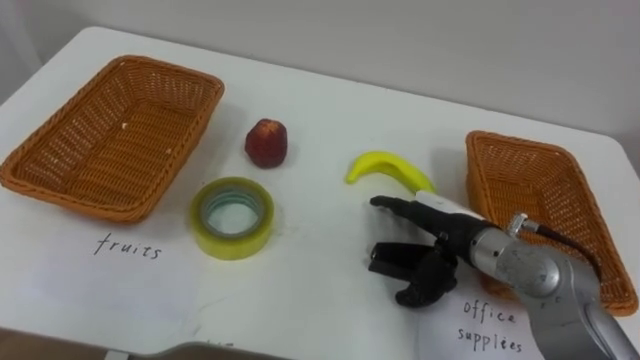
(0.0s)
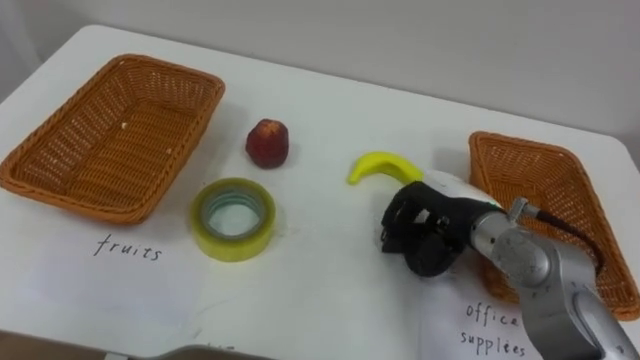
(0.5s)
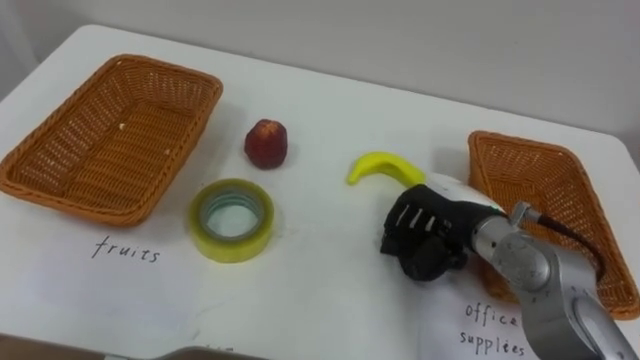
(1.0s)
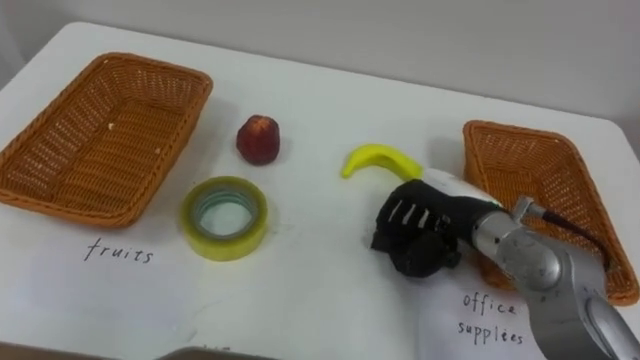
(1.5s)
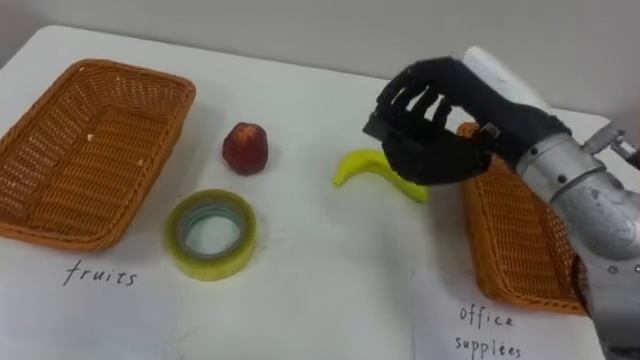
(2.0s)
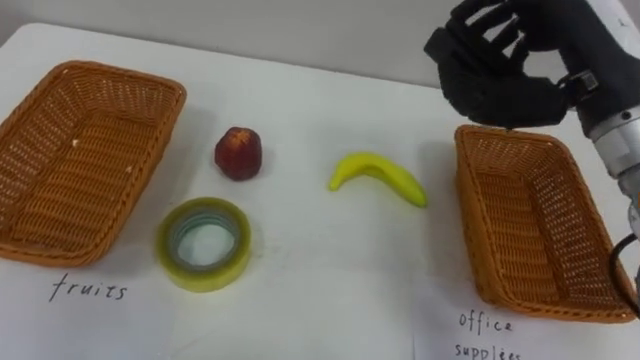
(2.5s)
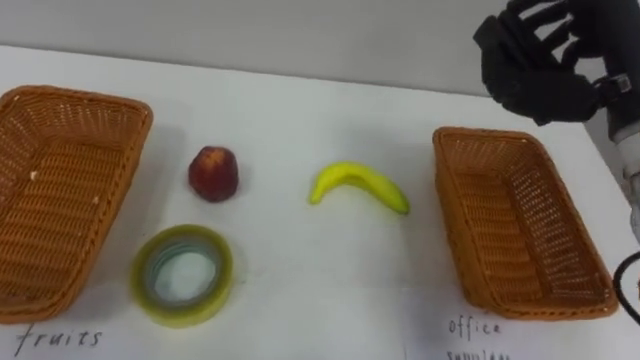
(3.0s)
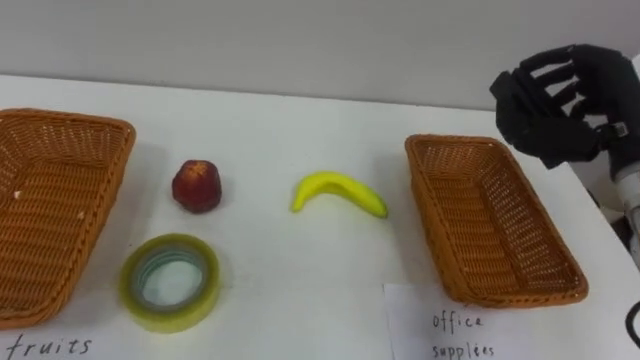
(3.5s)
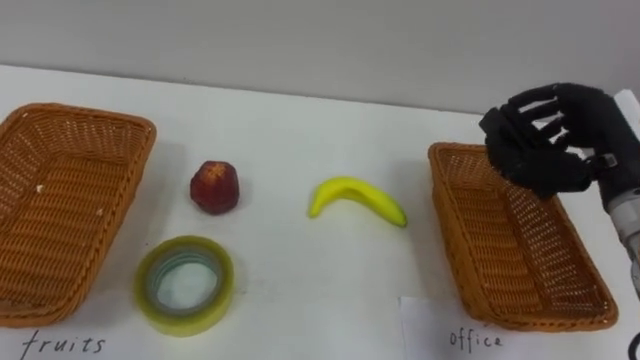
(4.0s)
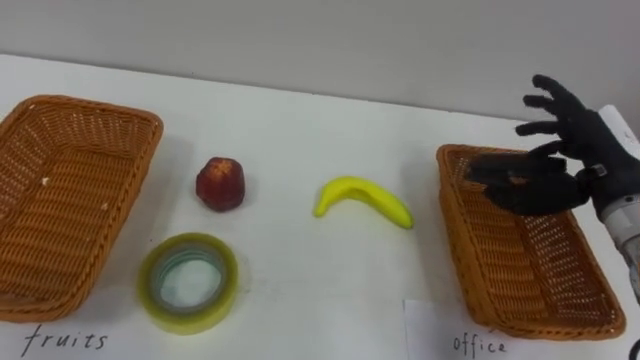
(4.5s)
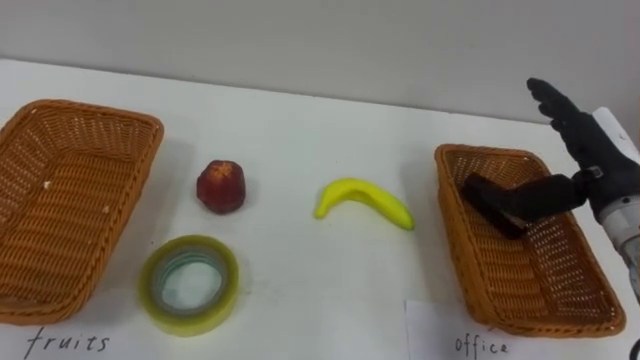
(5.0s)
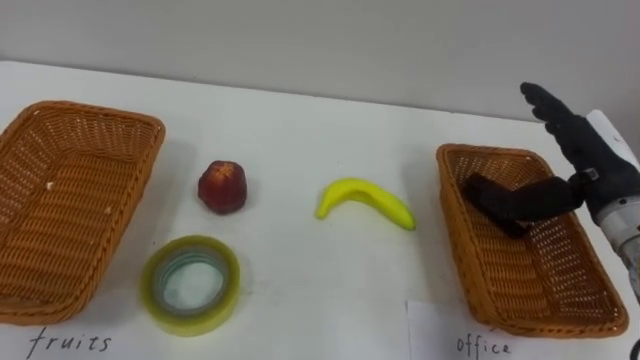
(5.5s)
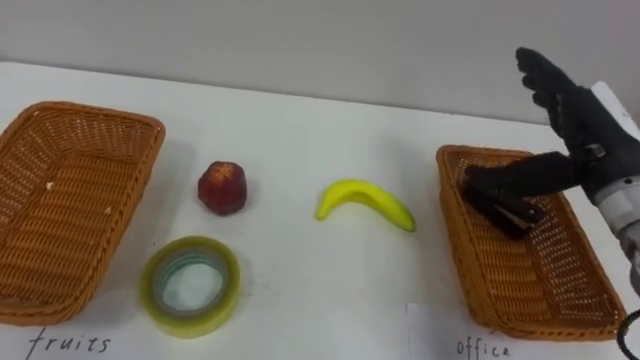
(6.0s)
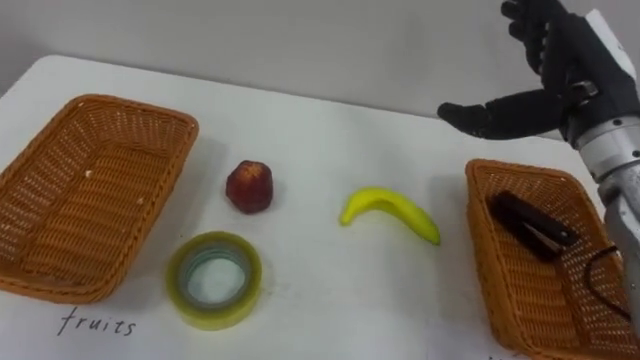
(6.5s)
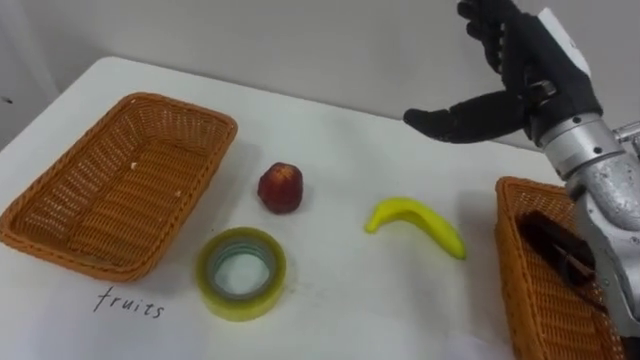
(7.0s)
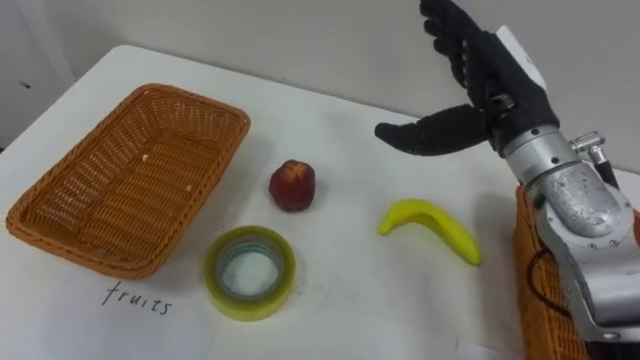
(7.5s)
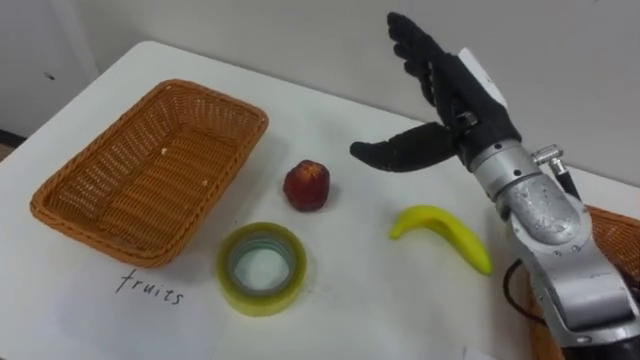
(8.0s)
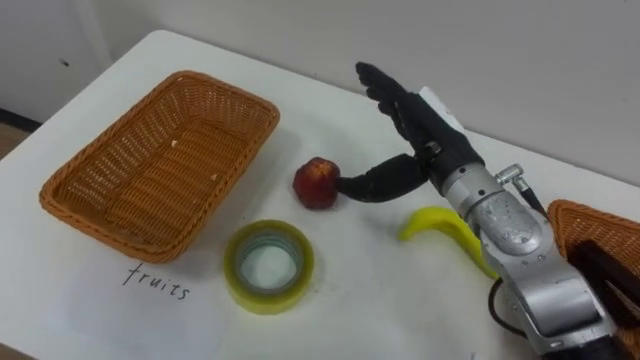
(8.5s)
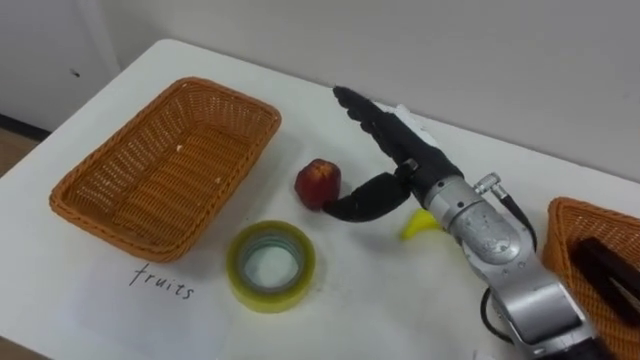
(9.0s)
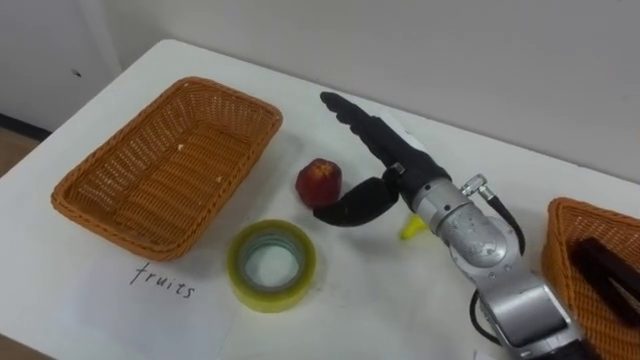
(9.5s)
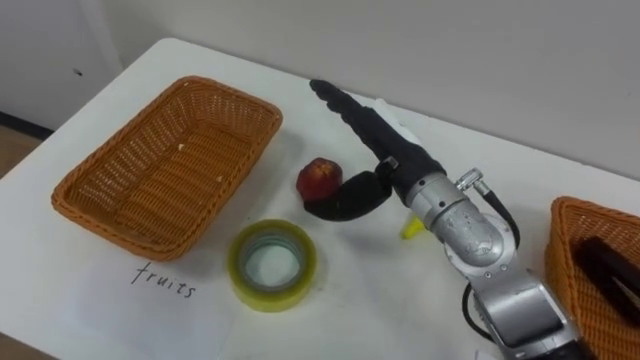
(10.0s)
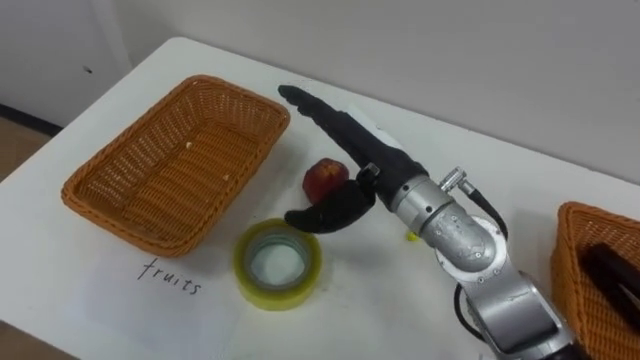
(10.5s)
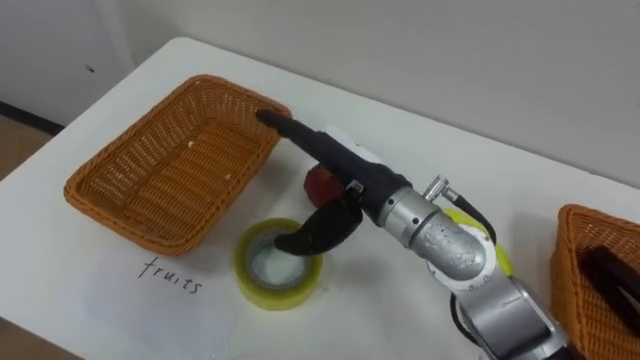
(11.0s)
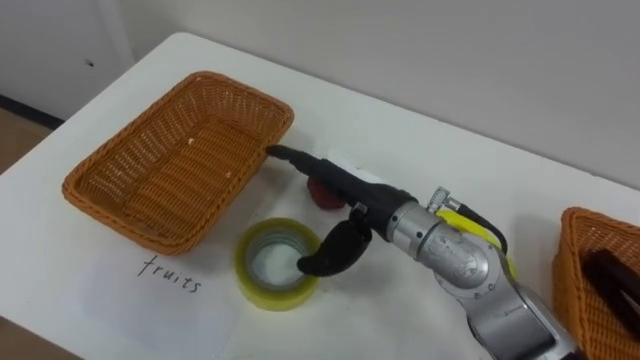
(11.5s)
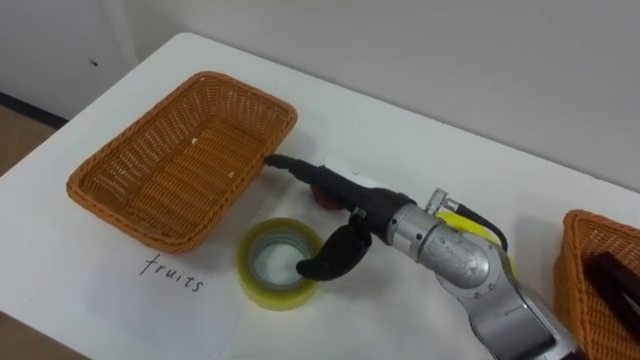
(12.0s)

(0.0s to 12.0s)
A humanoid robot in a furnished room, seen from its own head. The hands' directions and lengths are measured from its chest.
Task of the whole recording: Separate the items on the table and place them into the two baskets.
0.0s - 2.0s: The right hand travels upward by some 15 cm, and closes.
2.0s - 4.0s: The right hand travels to the right and downward by approximately 15 cm.
4.0s - 6.0s: The right hand opens its fingers.
6.0s - 8.0s: The right hand goes approximately 15 cm to the left.
8.0s - 10.0s: The right hand travels to the left by some 5 cm.
10.0s - 12.0s: The right hand shifts by about 5 cm.

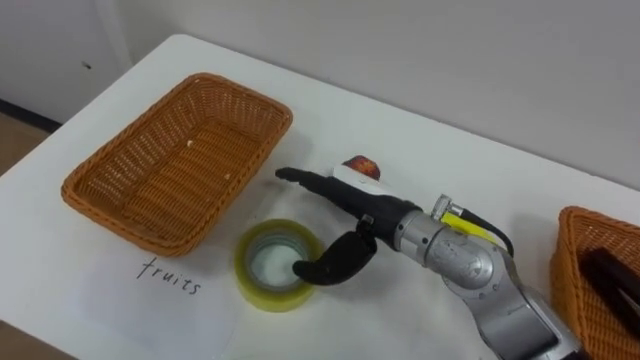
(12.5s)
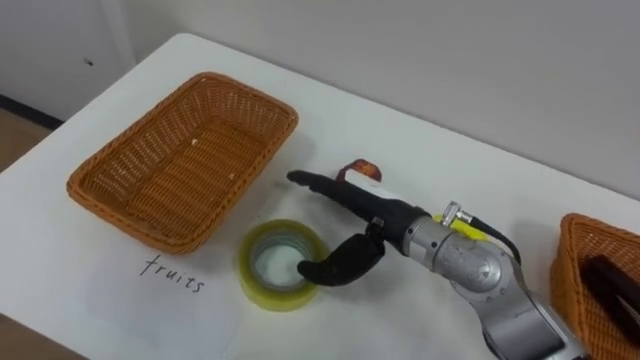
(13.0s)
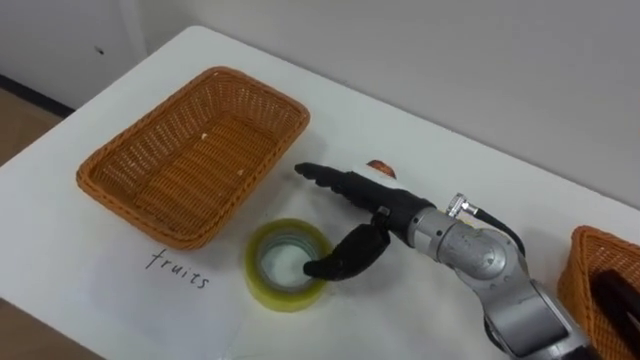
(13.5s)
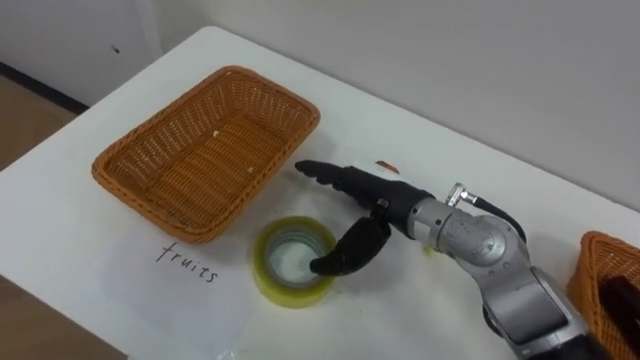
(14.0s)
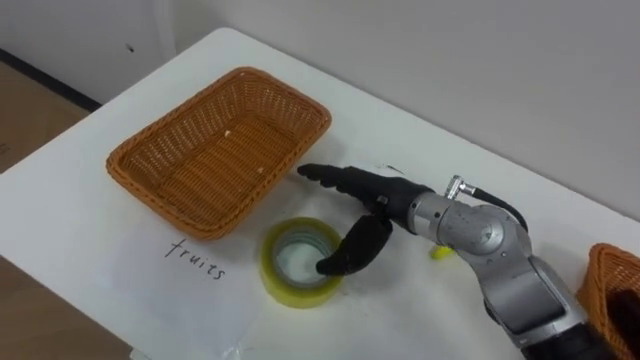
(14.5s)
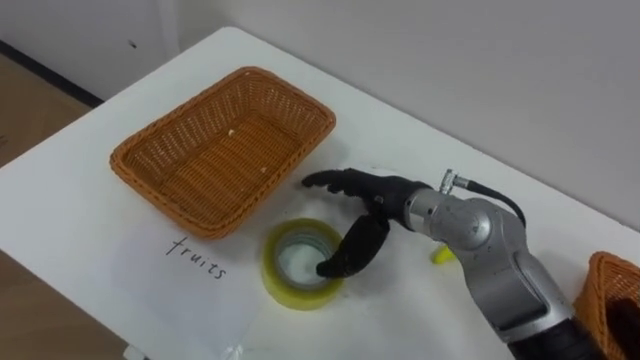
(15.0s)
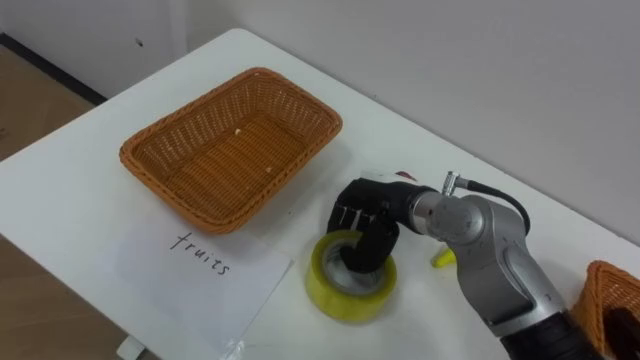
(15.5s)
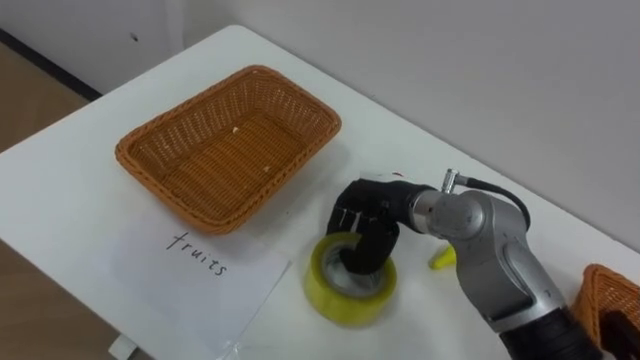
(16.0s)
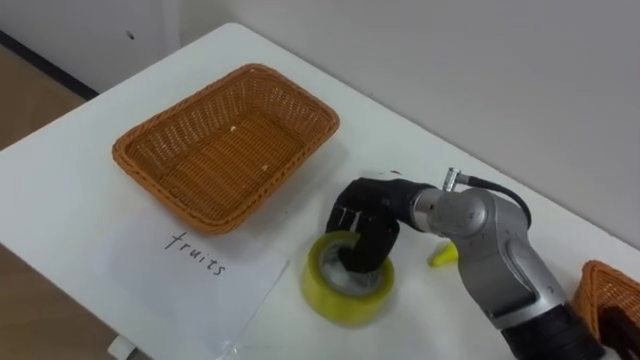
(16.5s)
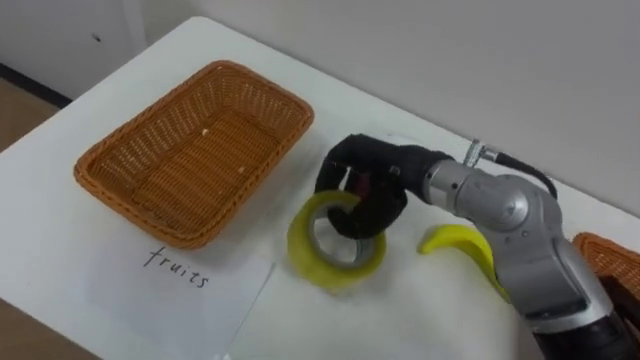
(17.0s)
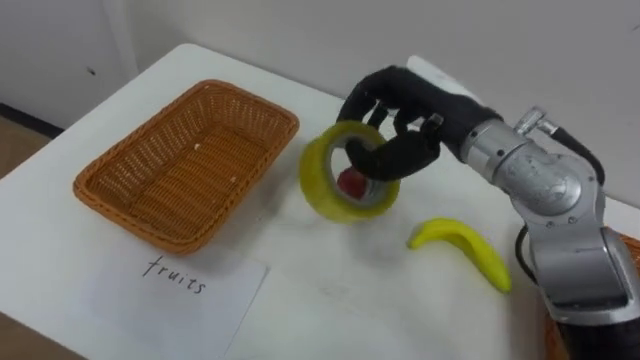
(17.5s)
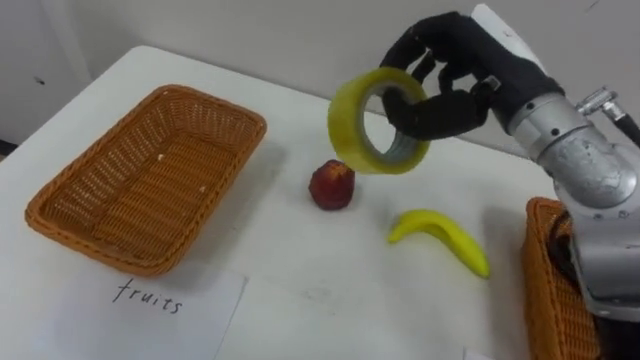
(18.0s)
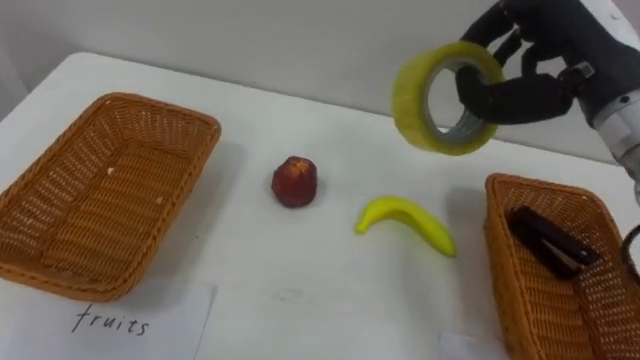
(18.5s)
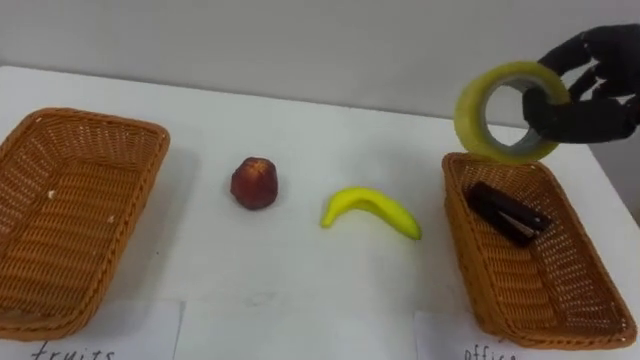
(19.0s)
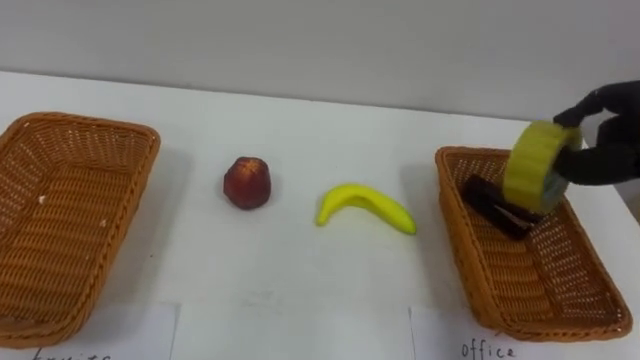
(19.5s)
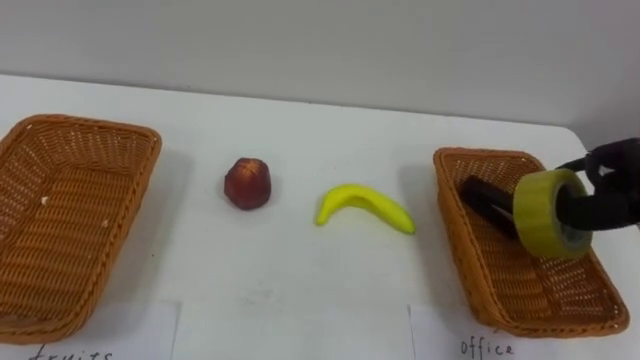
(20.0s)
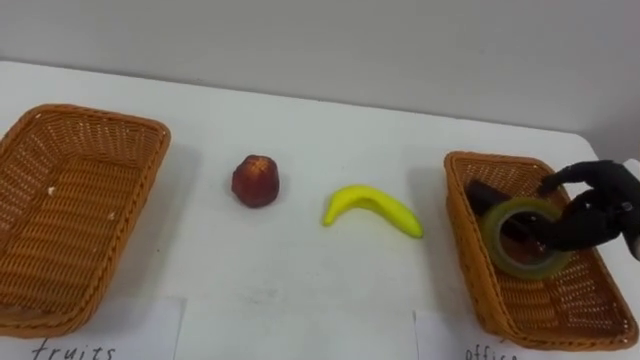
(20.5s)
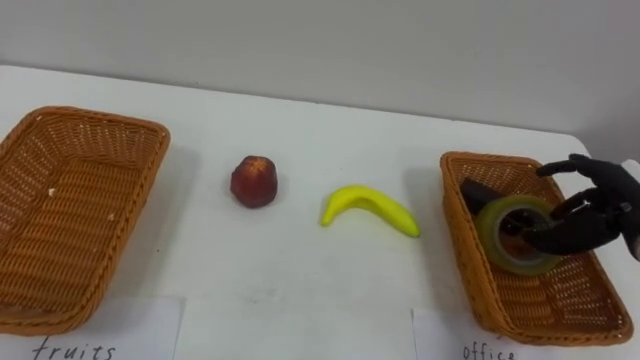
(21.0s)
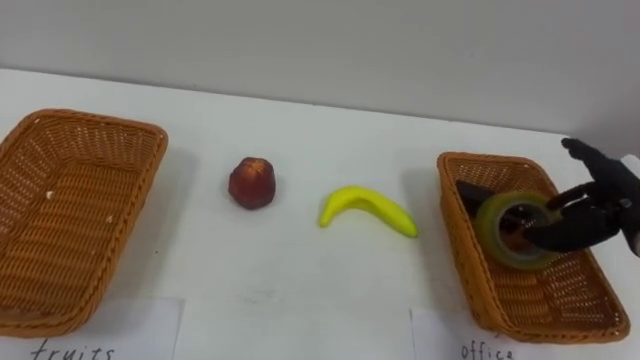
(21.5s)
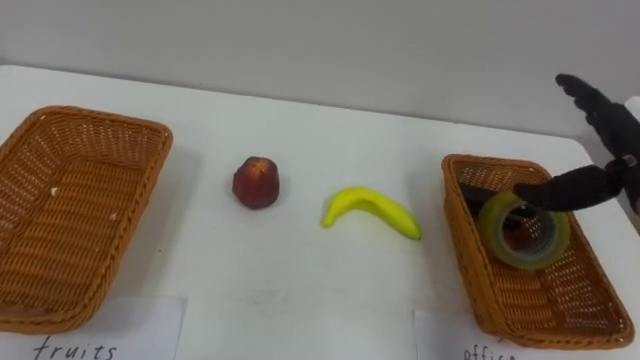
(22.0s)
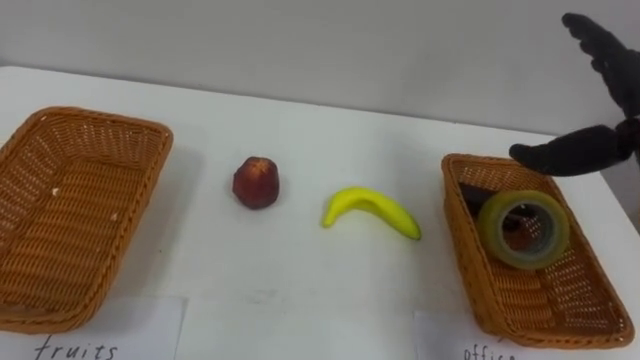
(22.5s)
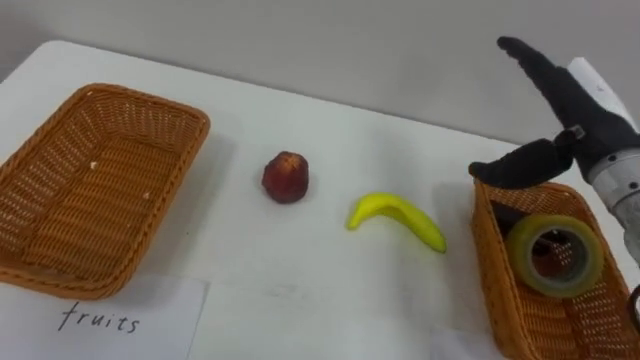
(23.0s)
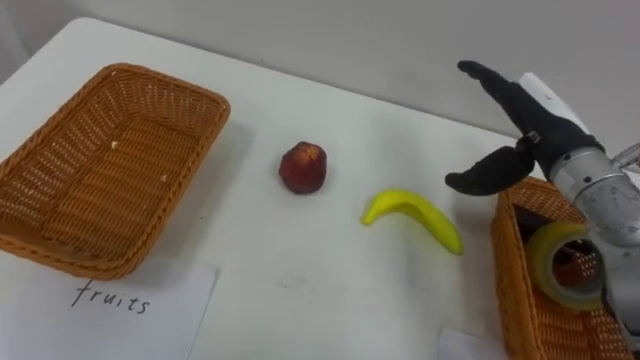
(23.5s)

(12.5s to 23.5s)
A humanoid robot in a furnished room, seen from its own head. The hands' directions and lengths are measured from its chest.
Task of the whole recording: Separate the items on the table and place them into the two baskets.
14.5s - 16.0s: The right hand closes its fingers.
16.0s - 18.0s: The right hand travels upward and to the right by approximately 20 cm.
21.5s - 23.5s: The right hand travels to the left, upward and forward by approximately 15 cm.
